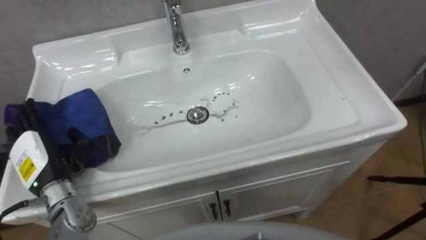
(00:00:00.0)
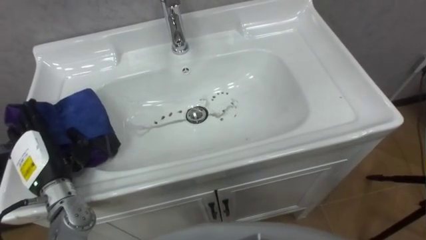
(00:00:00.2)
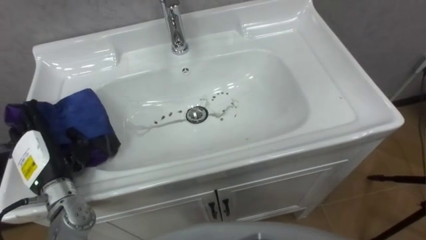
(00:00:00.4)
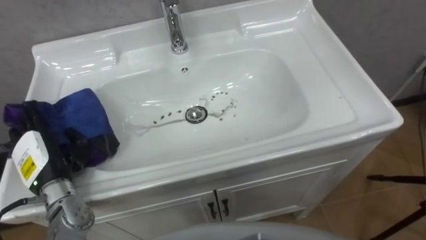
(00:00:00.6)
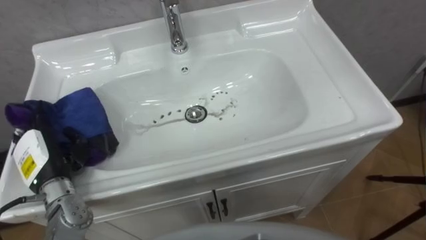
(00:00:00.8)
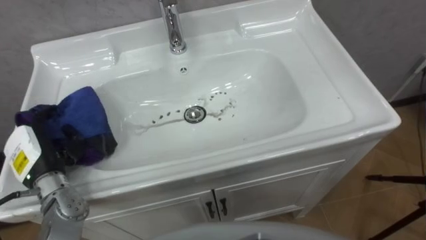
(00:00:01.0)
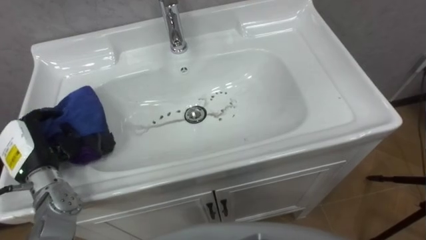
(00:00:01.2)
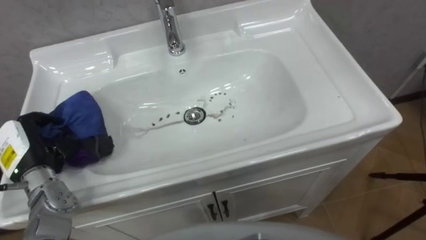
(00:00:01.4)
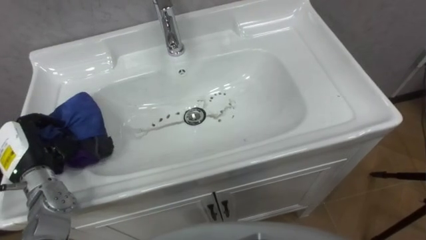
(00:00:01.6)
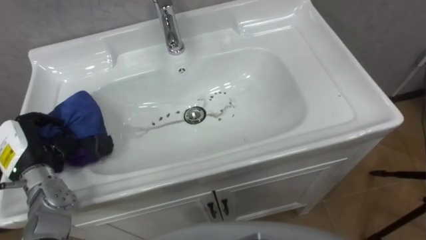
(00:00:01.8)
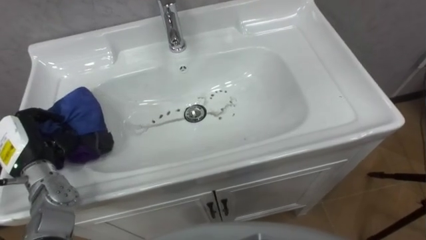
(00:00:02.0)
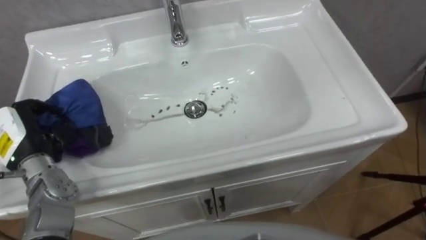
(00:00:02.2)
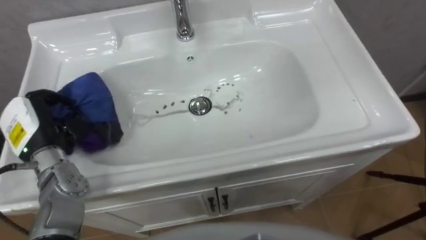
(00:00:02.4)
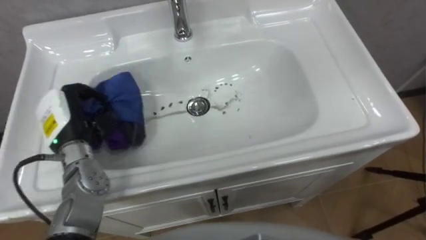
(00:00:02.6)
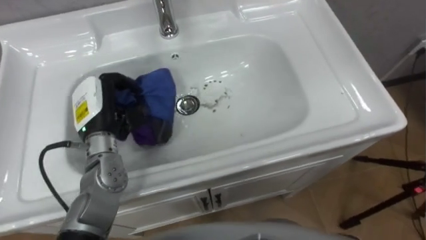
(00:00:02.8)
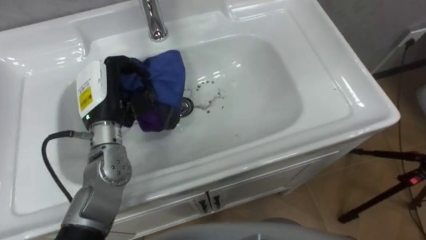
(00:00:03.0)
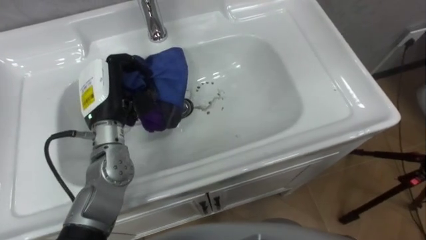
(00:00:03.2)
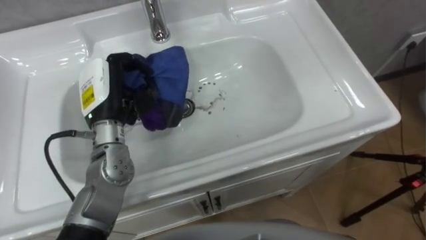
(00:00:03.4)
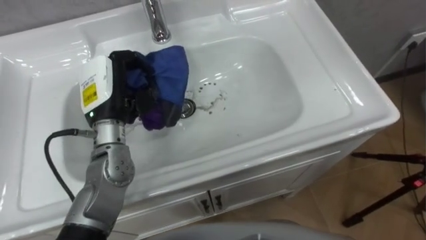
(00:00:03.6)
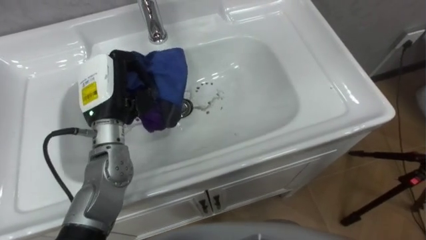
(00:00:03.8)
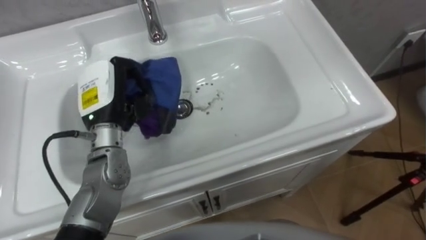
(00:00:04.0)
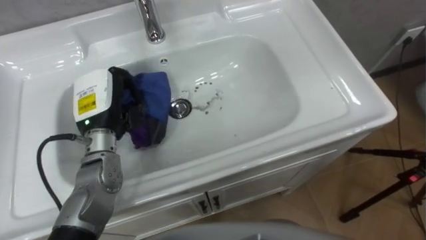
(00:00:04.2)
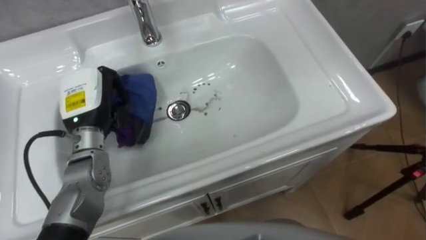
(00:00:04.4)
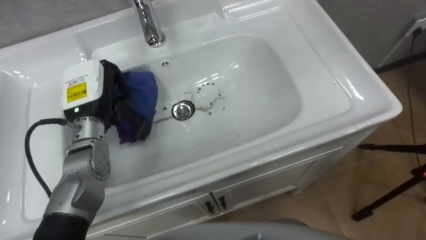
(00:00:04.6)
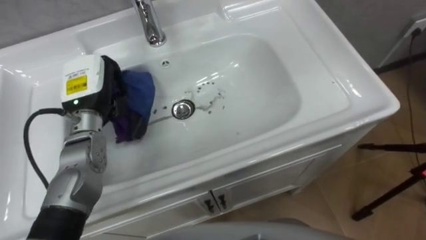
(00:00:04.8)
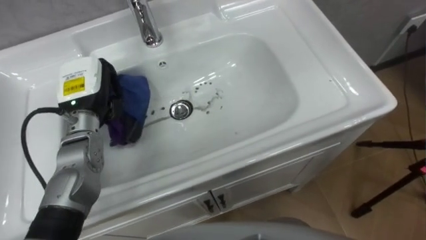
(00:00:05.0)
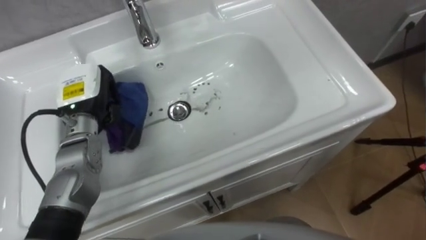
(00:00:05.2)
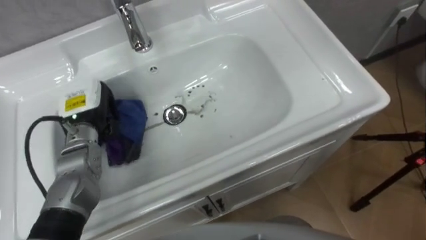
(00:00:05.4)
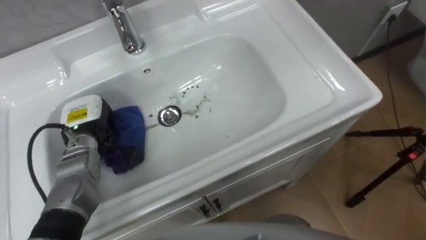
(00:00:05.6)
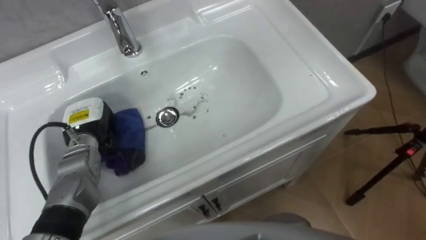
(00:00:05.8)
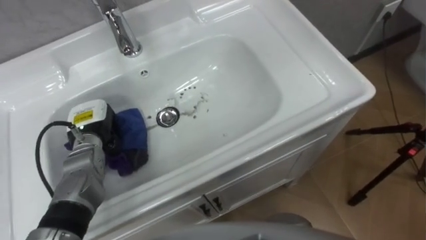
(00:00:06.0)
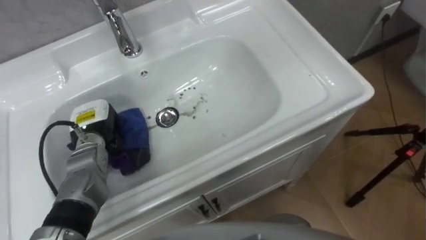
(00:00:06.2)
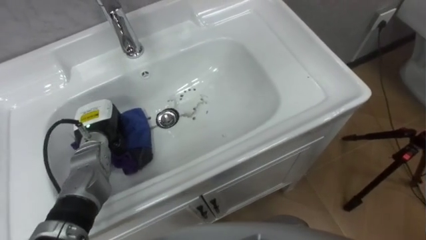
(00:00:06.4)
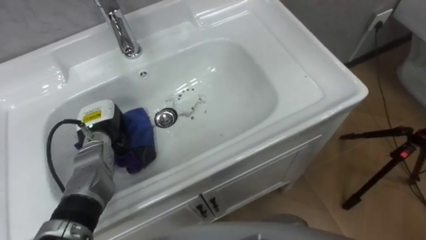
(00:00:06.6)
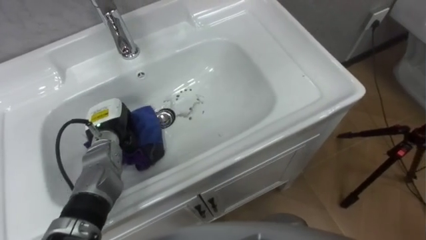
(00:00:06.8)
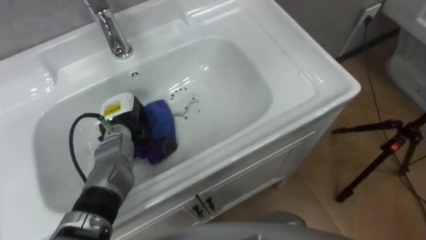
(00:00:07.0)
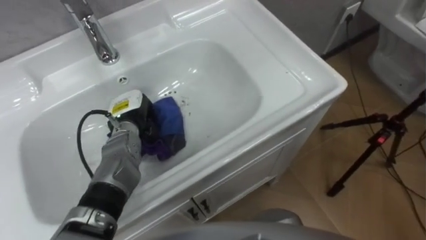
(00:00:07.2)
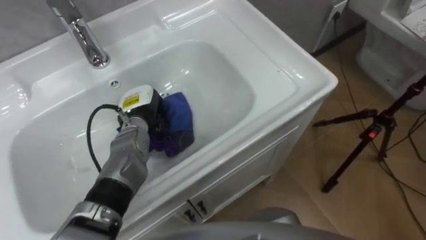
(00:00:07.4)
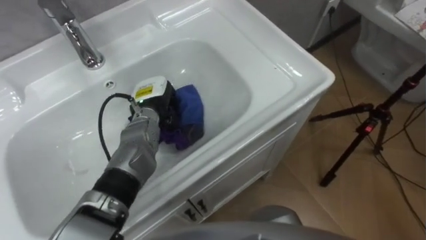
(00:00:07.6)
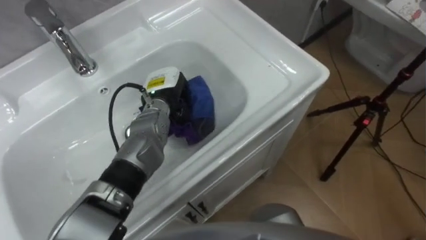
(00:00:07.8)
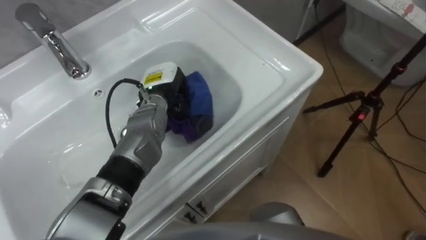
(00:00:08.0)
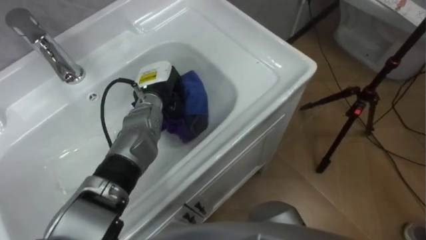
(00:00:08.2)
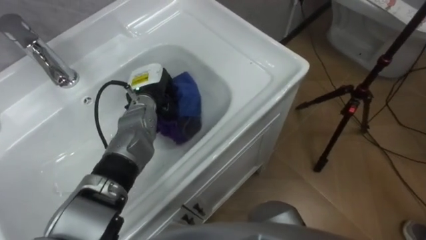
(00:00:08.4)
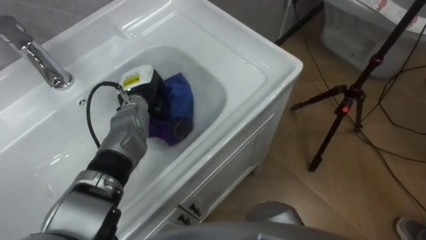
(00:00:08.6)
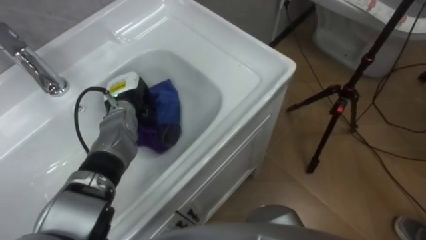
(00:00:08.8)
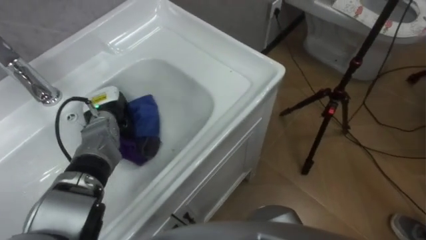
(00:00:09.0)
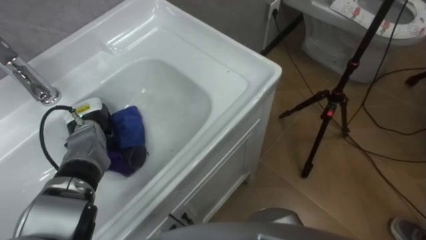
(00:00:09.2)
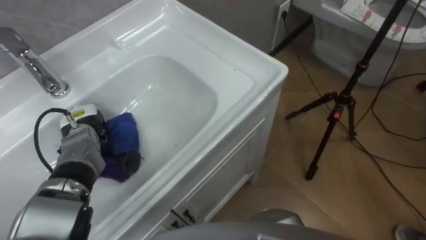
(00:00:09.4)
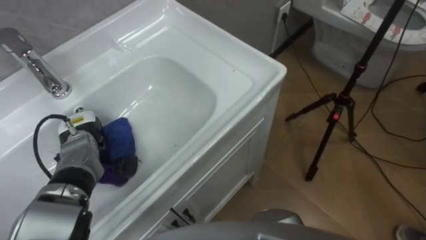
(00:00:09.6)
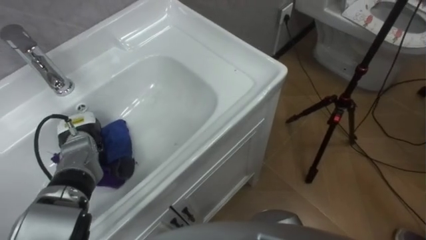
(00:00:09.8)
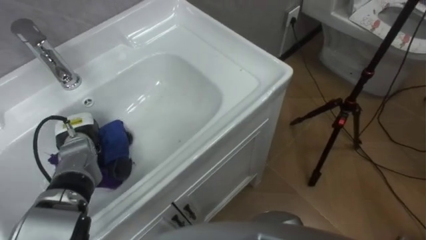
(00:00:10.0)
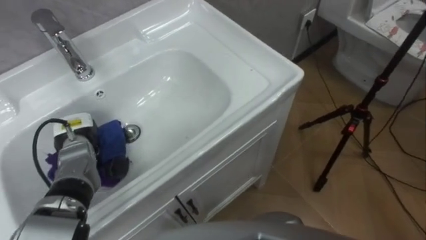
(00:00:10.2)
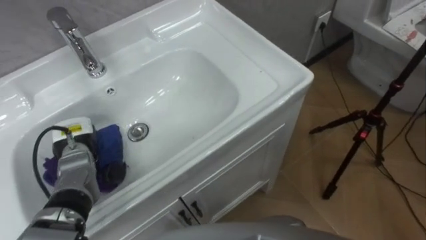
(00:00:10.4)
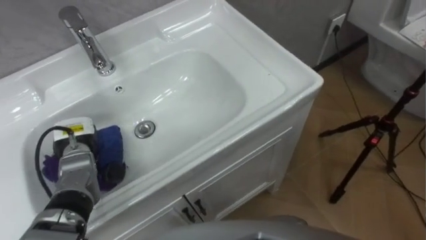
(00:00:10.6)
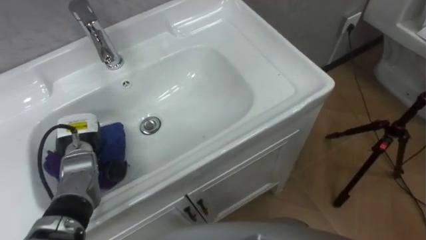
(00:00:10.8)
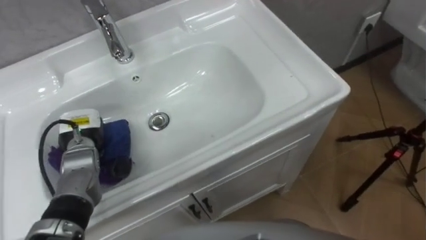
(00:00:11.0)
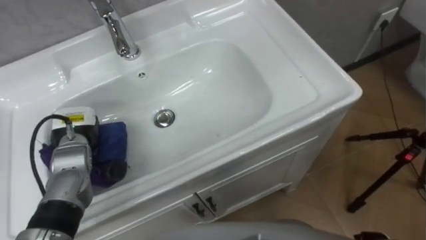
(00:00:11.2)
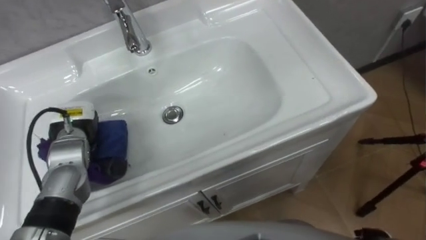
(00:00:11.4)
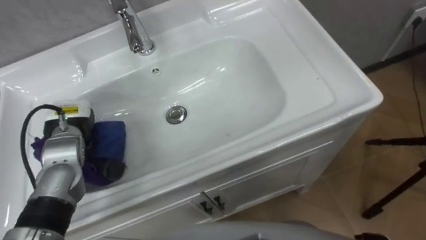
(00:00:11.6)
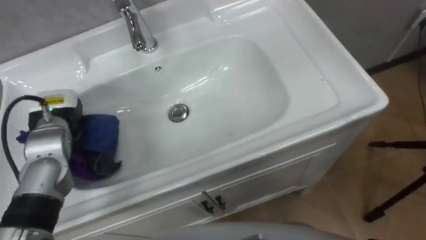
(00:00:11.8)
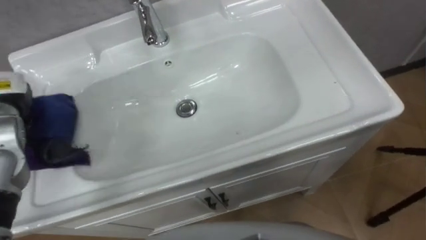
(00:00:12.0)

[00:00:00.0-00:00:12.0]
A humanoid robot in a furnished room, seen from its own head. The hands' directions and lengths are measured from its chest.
Task of the whole recording: Use the cloth on the right to wipe away the black stain in the sink.
00:00:00.0 to 00:00:01.6: The left hand closes.
00:00:01.6 to 00:00:03.0: The left hand goes some 20 cm to the right, forward and upward.
00:00:04.4 to 00:00:06.0: The left hand moves downward, approximately 10 cm.
00:00:06.0 to 00:00:07.6: The left hand shifts roughly 15 cm to the right and forward.
00:00:07.6 to 00:00:09.0: The left hand goes roughly 10 cm to the left.
00:00:09.0 to 00:00:10.4: The left hand travels backward and to the left by about 10 cm.

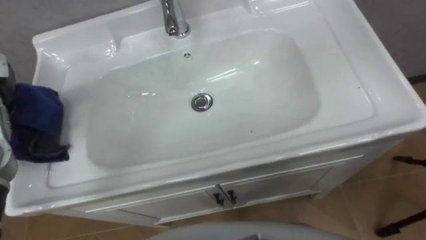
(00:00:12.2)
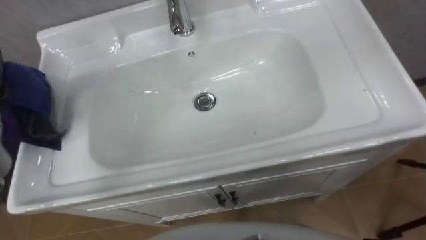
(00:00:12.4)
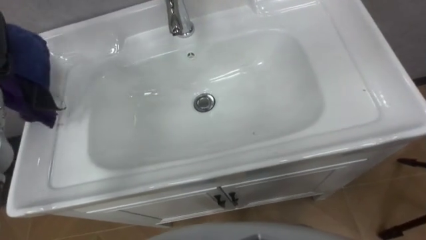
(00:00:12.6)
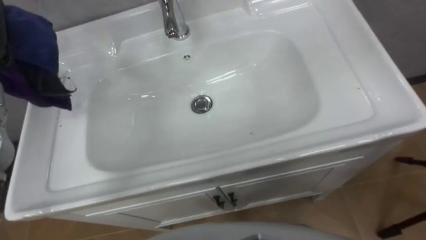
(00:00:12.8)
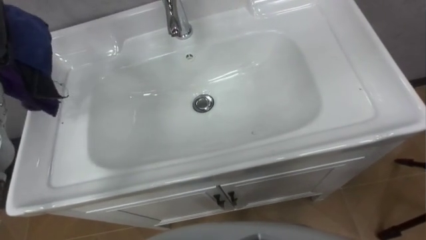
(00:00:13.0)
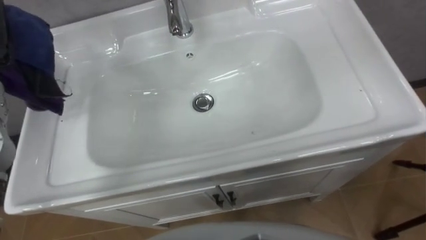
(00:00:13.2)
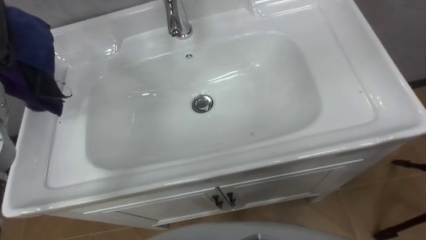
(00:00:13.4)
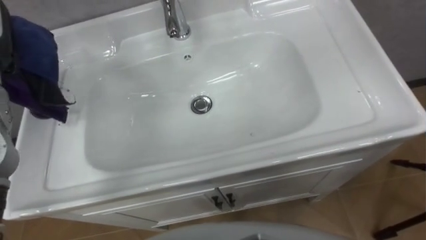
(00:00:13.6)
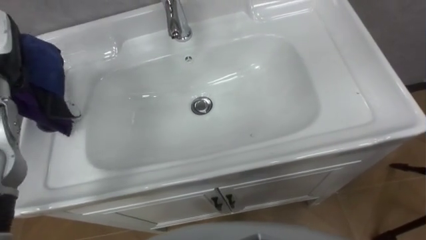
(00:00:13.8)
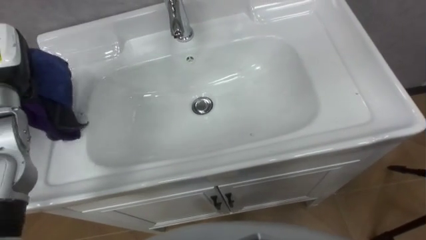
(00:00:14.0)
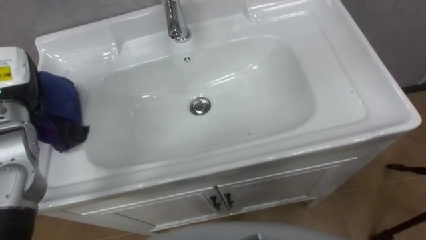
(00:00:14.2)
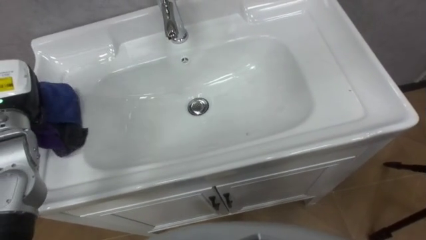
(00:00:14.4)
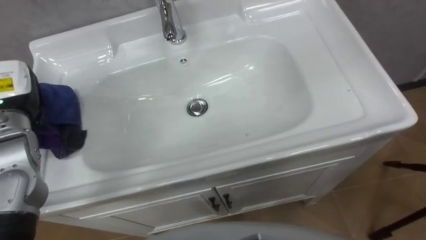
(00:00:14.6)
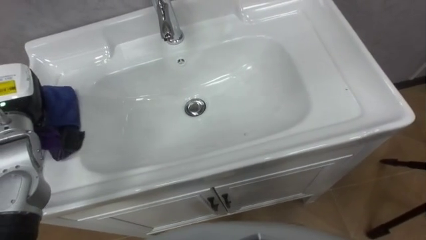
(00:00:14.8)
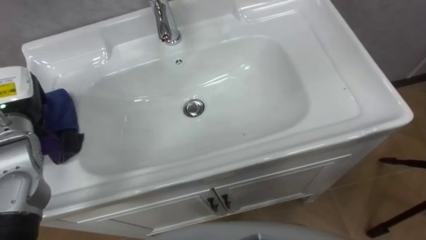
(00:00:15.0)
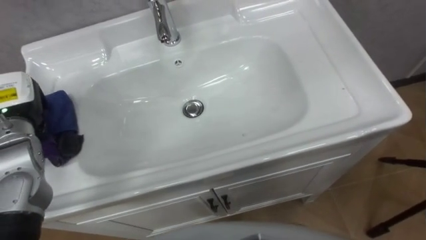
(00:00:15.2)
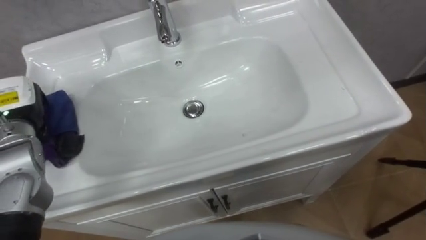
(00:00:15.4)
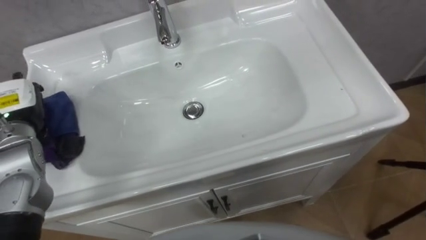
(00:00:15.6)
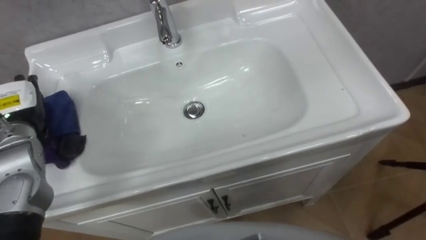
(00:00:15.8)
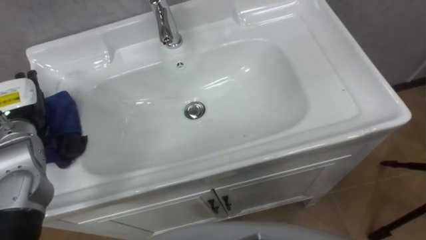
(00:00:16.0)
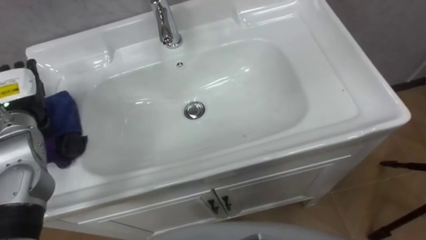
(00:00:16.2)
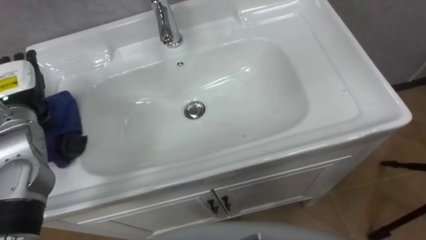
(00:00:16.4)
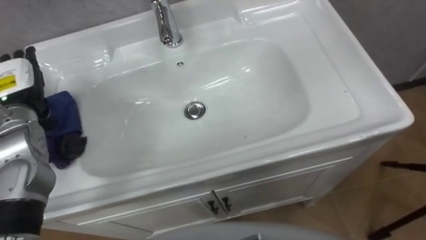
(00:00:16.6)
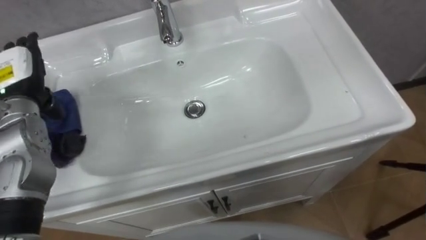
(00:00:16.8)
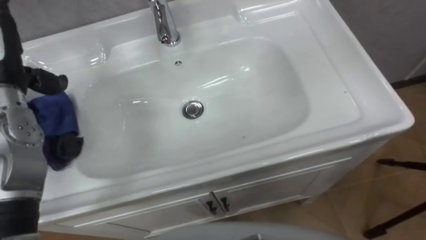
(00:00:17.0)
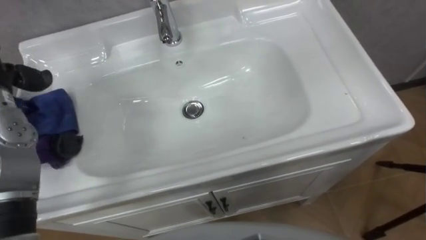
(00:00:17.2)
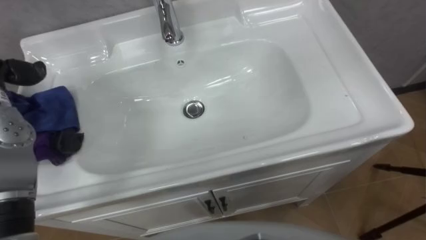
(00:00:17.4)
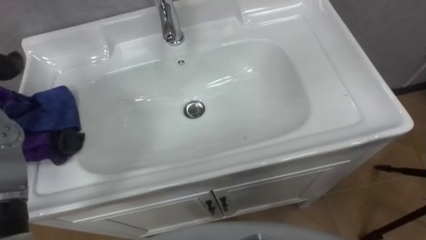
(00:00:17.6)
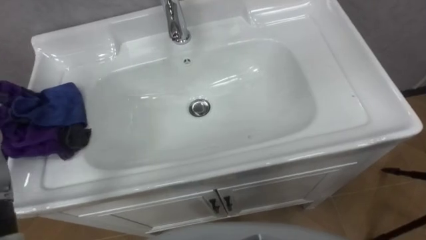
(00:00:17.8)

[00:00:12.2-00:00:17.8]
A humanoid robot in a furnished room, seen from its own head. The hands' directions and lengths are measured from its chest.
Task of the whole recording: Use the cloth on the right to wipe away the black stain in the sink.
00:00:15.0 to 00:00:16.4: The left hand opens.
